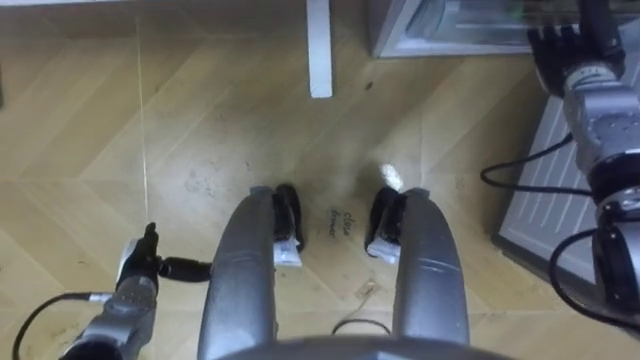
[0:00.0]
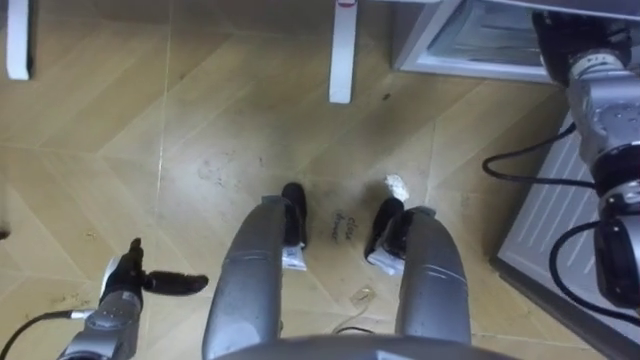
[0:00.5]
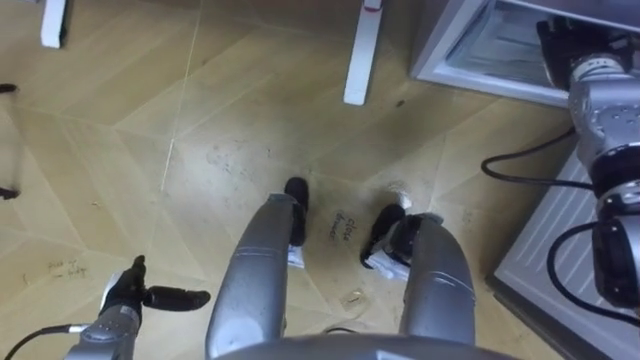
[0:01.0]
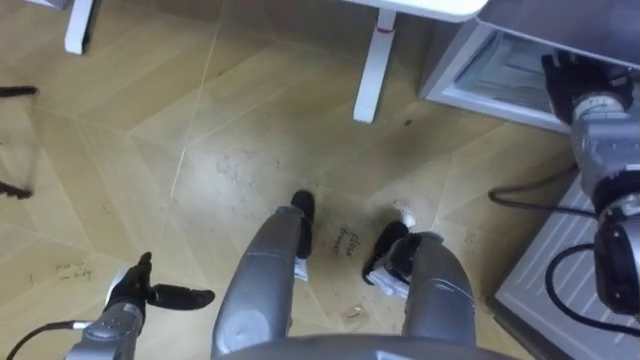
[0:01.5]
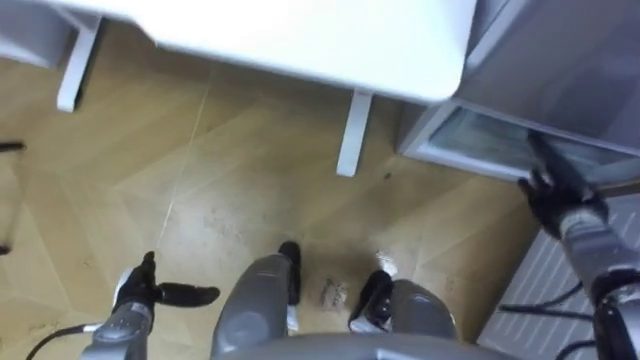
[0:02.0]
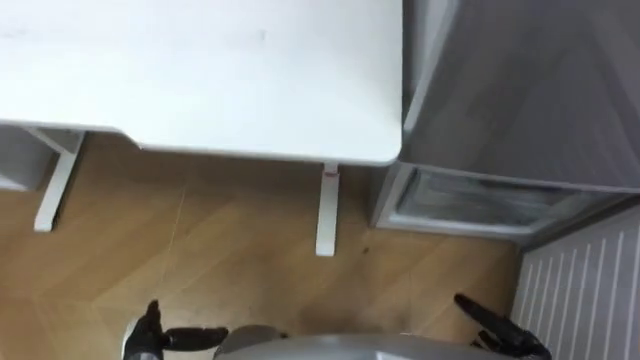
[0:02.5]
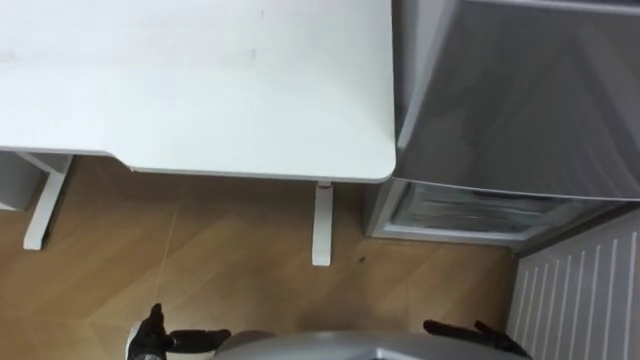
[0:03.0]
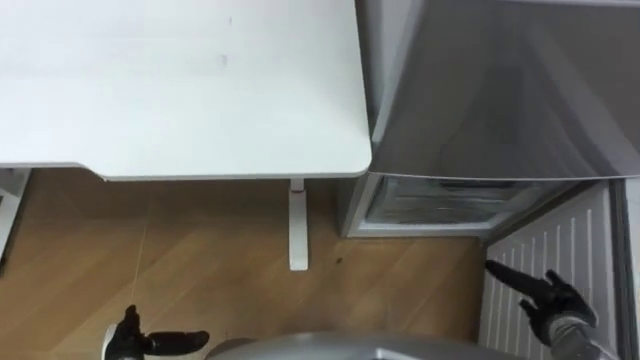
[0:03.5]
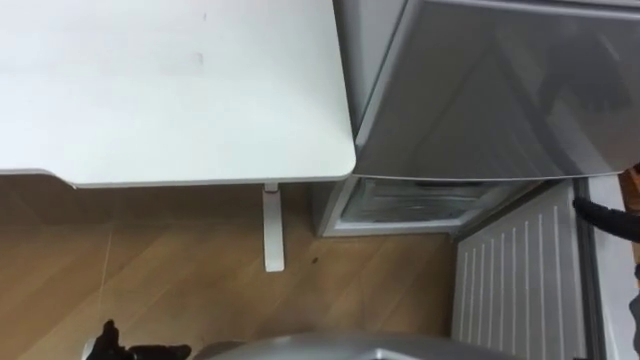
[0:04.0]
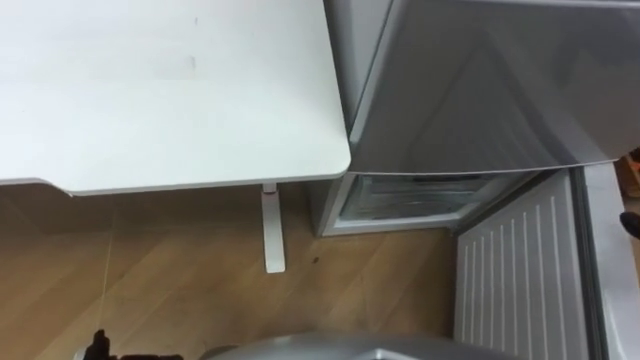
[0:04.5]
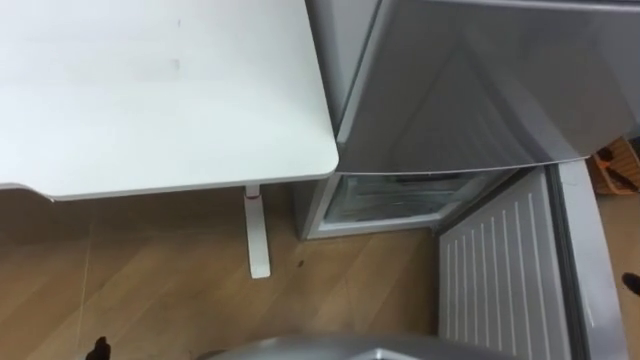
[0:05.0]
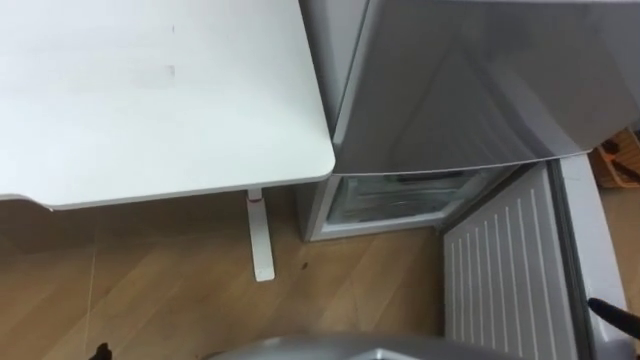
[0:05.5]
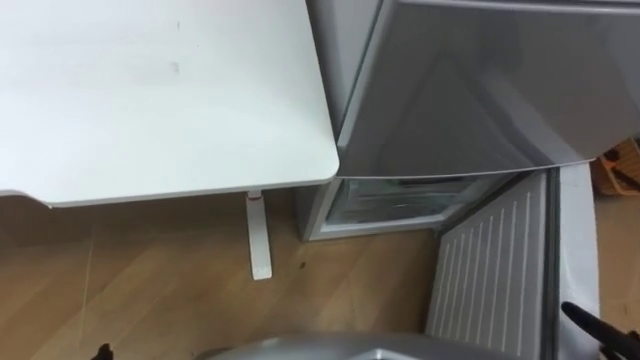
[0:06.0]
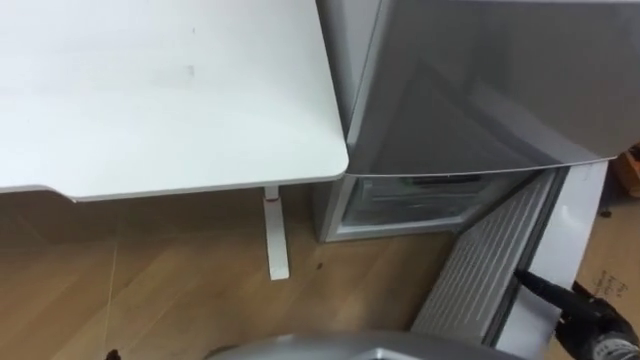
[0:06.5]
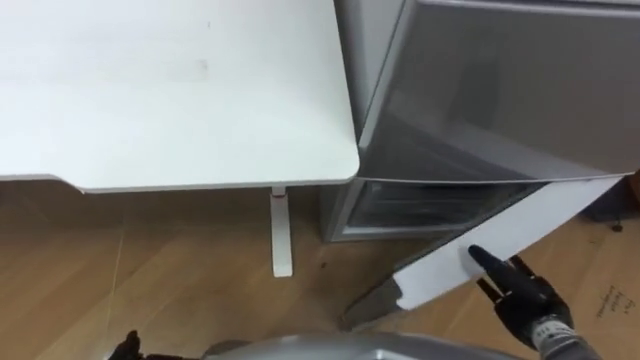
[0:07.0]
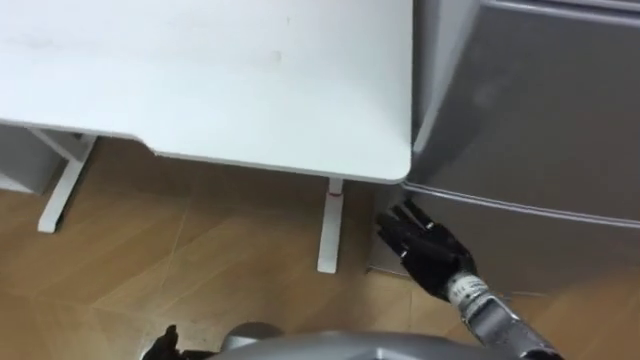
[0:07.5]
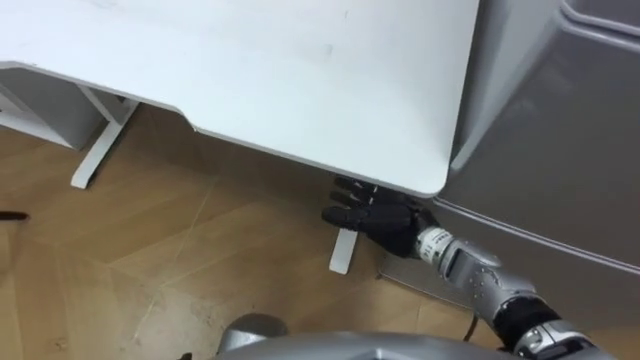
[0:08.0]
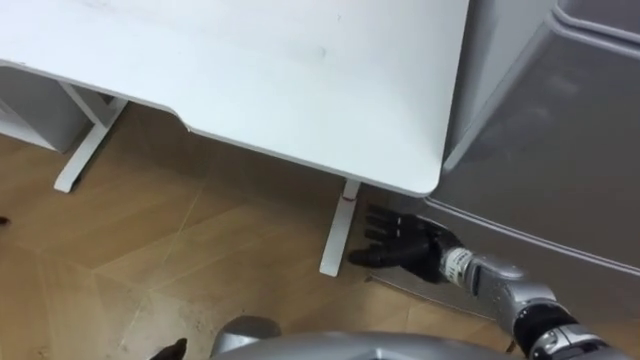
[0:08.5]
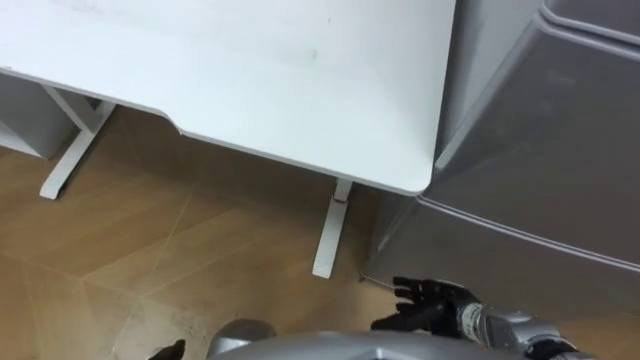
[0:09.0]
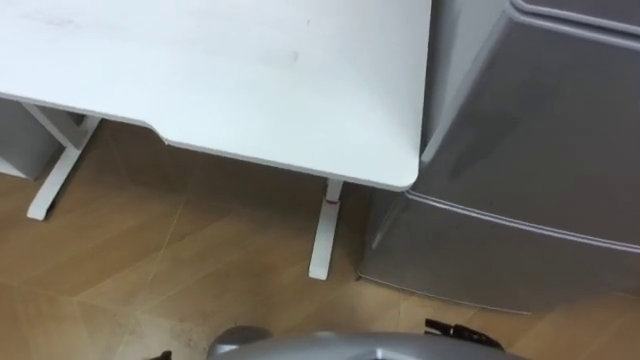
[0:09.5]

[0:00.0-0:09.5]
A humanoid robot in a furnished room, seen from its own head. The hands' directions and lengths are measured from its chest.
Task of the whole recording: Place the drink on the table on the bottom shelf of the refrigerator, then close the drawer and the refrigerator door.
0:00.0 to 0:02.0: The right hand is displaced downward and backward by some 20 cm.
0:07.5 to 0:09.5: The right hand heads backward and downward, covering approximately 15 cm.

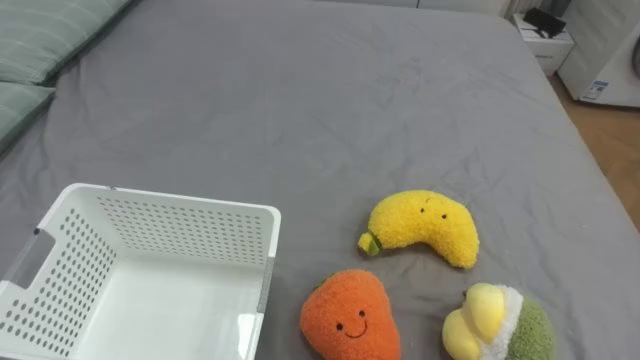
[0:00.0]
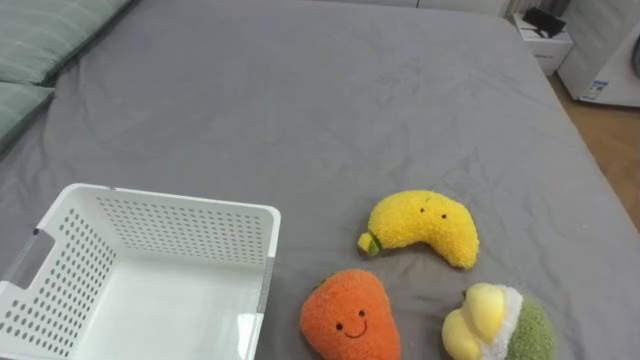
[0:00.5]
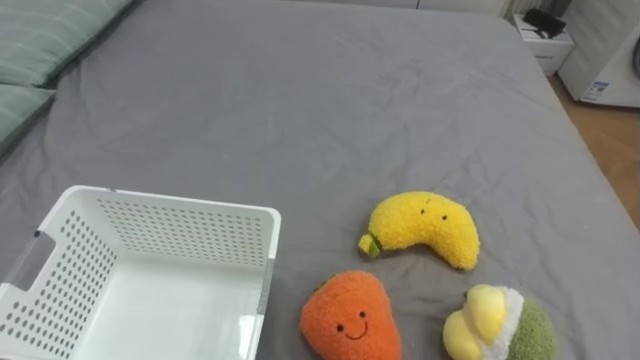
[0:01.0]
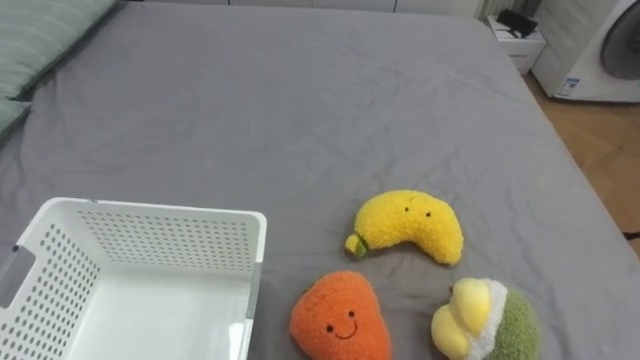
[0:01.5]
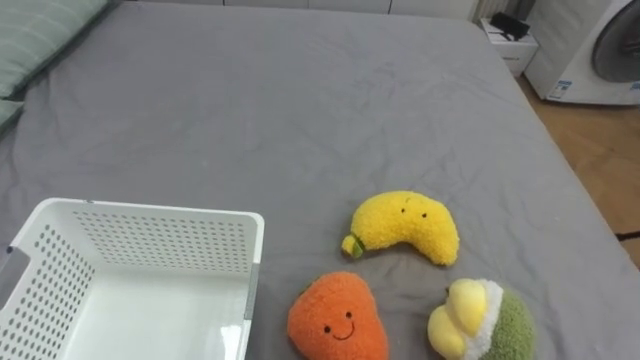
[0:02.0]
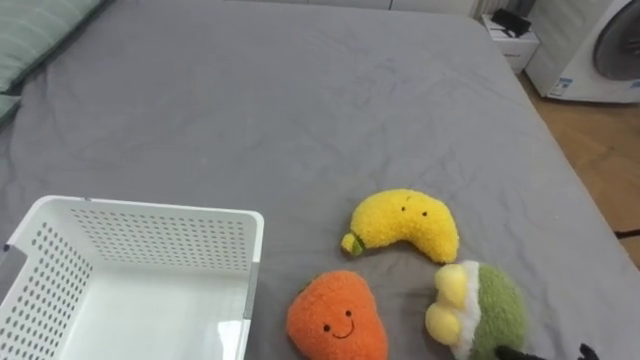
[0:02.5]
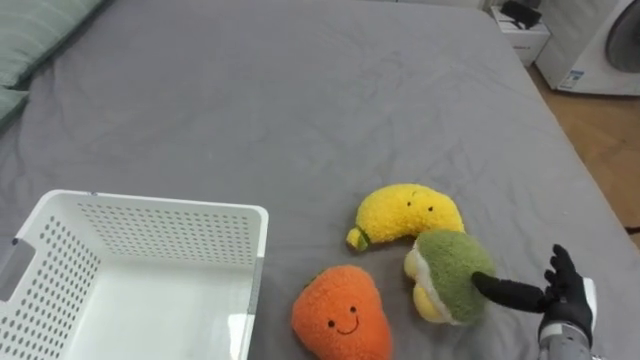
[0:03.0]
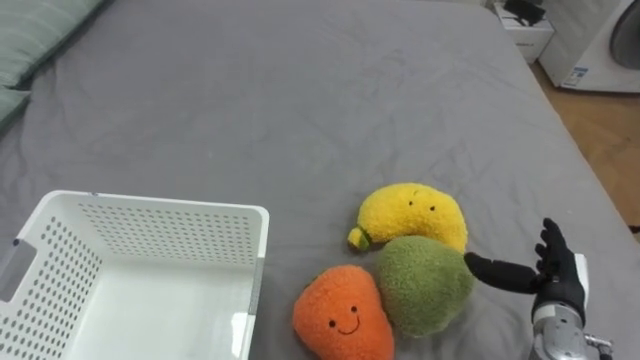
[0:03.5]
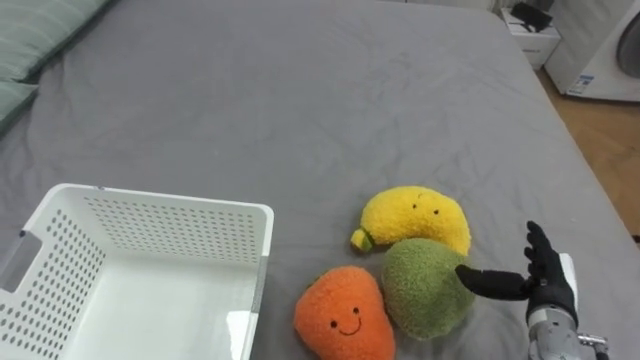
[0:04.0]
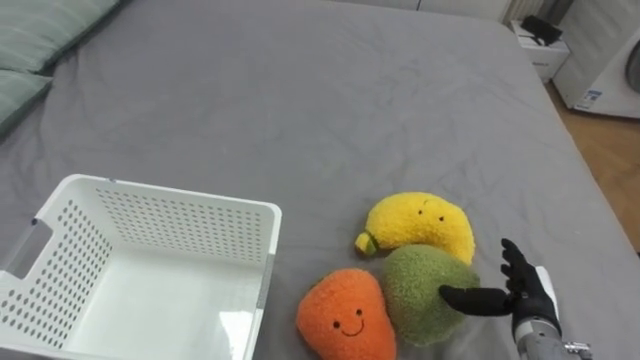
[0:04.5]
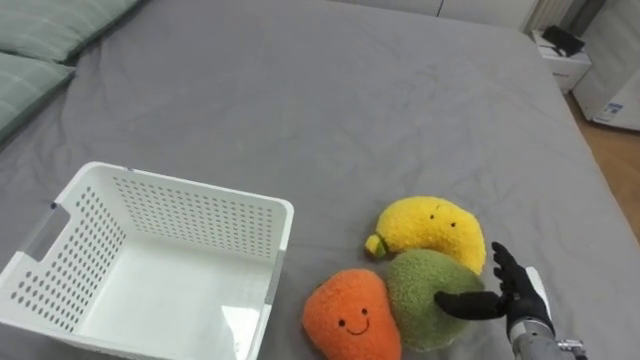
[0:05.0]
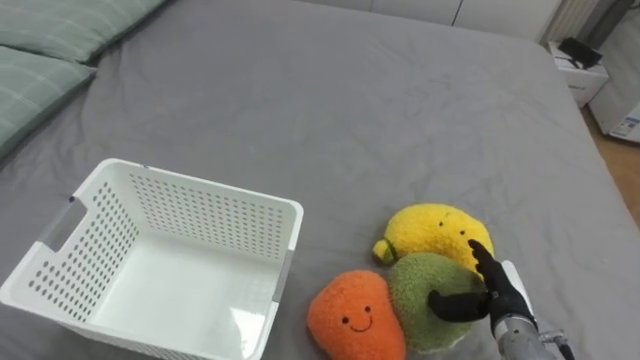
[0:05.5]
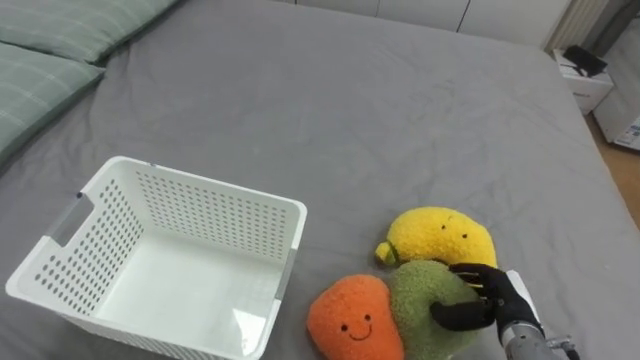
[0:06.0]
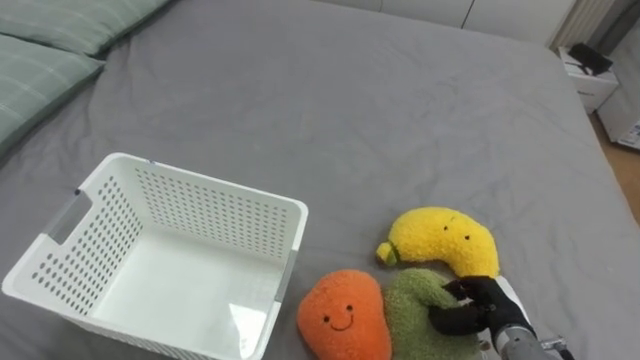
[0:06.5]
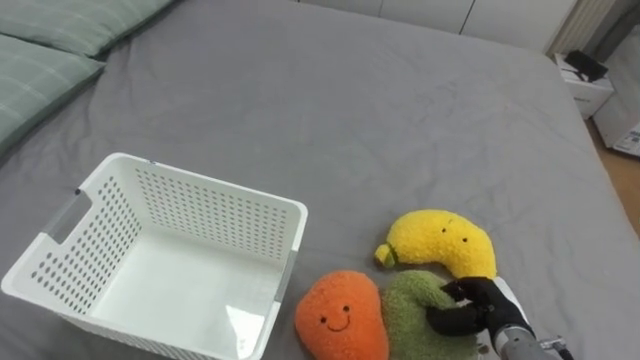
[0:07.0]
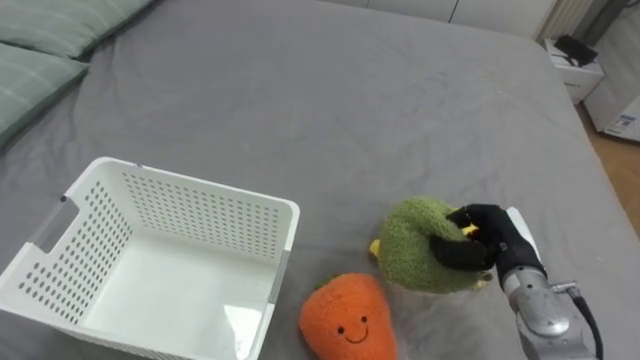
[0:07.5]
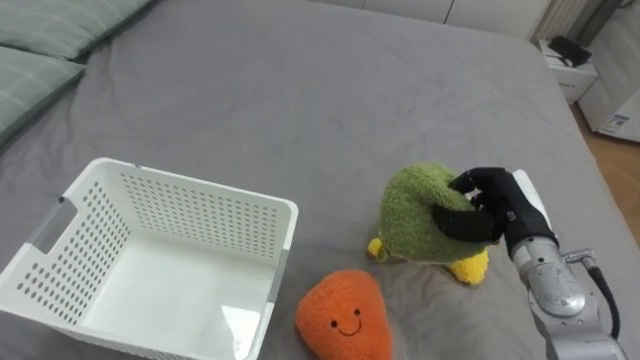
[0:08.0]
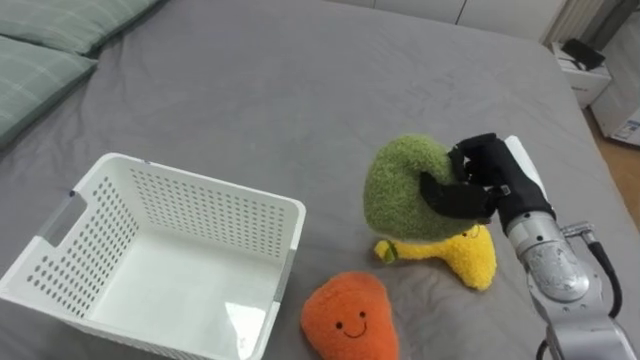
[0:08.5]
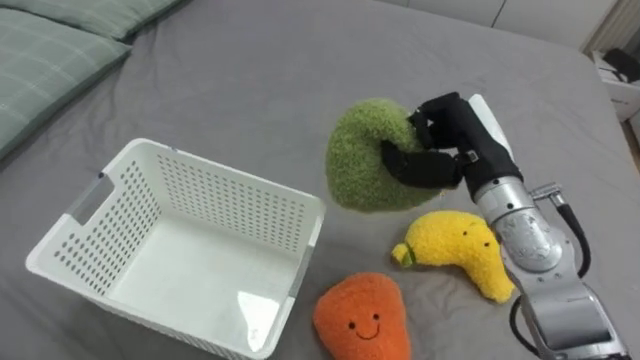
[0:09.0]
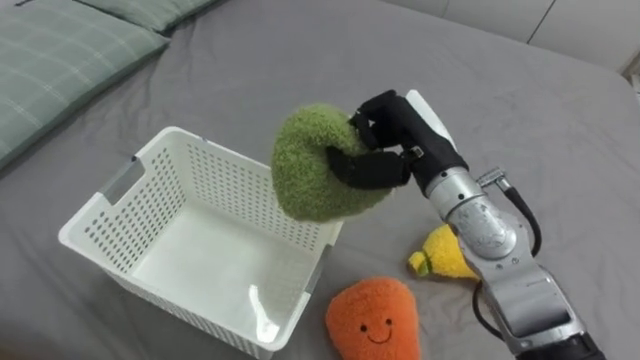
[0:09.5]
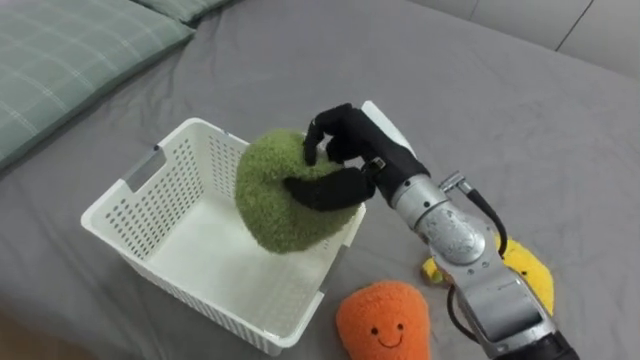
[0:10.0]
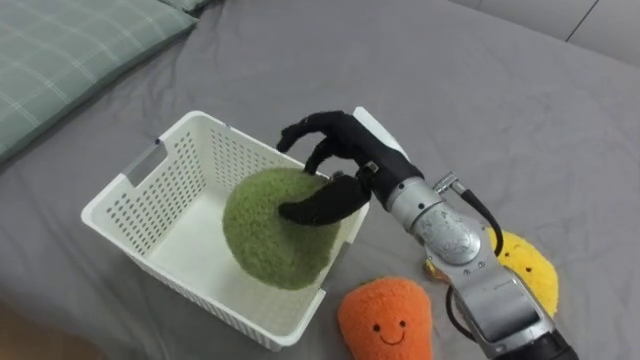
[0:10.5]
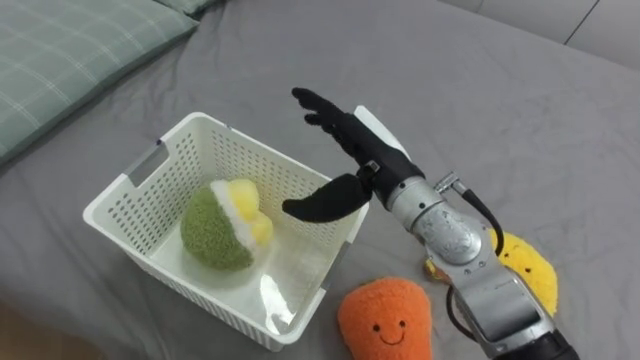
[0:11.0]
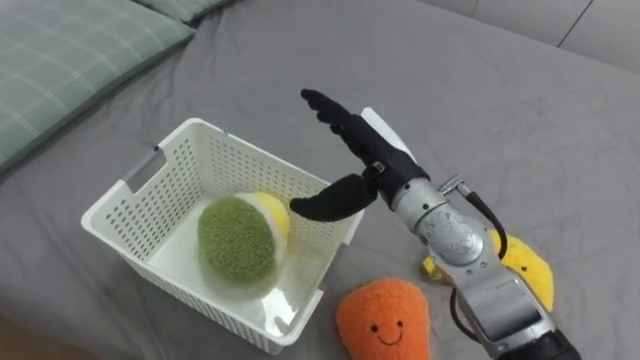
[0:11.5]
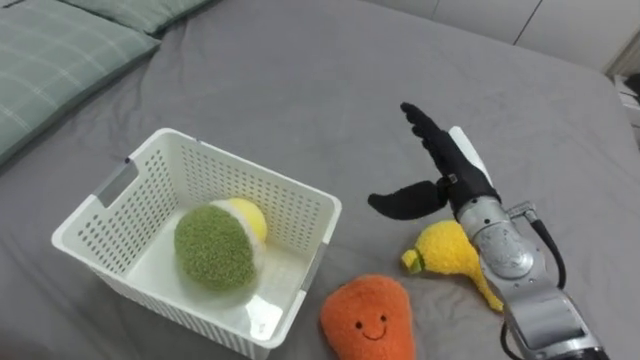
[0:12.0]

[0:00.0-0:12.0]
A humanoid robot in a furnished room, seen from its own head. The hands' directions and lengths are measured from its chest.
Task of the whole recording: Put the toys on the bed into the basket on the left.
0:04.0 to 0:06.0: The right hand moves approximately 5 cm.
0:06.0 to 0:08.0: The right hand heads upward and forward, covering about 15 cm, and closes.
0:08.0 to 0:10.0: The right hand shifts some 20 cm to the left and upward.
0:10.0 to 0:12.0: The right hand shifts some 10 cm to the right and downward, and opens.
